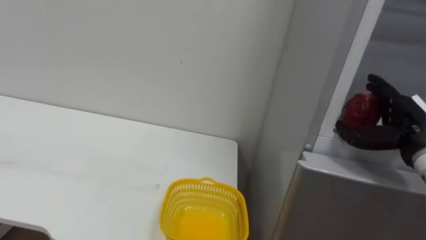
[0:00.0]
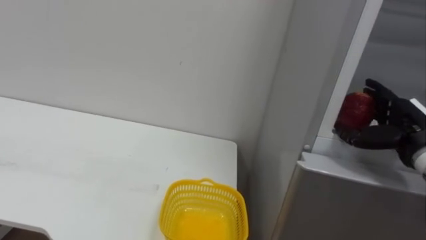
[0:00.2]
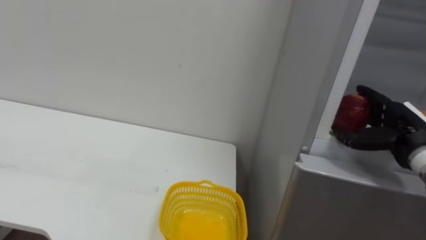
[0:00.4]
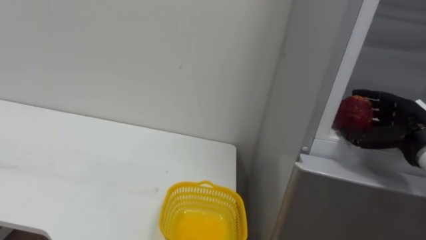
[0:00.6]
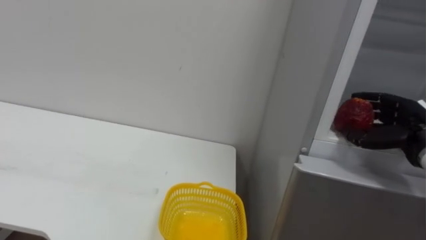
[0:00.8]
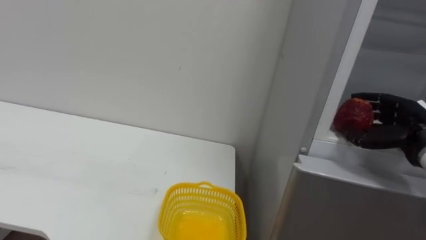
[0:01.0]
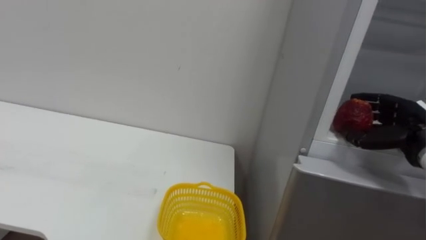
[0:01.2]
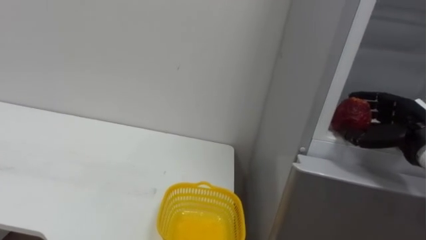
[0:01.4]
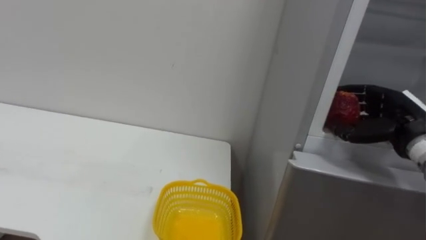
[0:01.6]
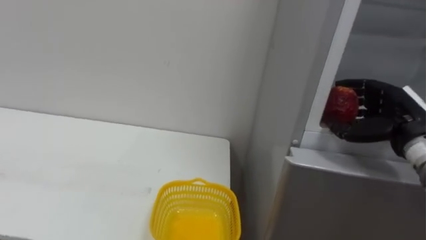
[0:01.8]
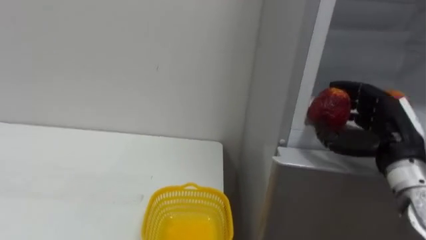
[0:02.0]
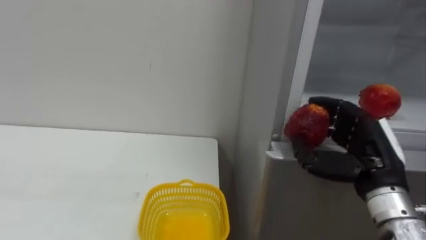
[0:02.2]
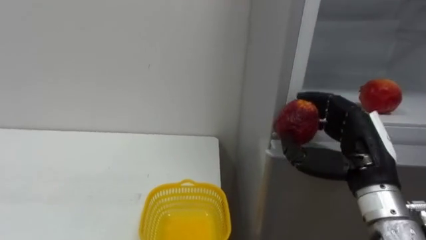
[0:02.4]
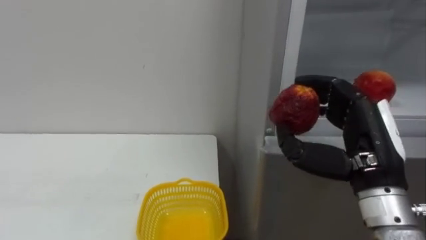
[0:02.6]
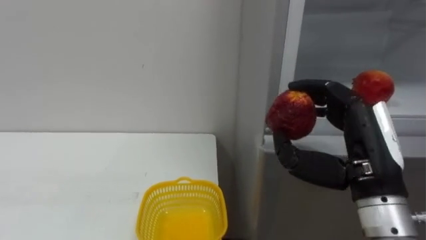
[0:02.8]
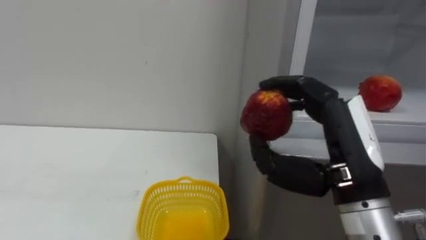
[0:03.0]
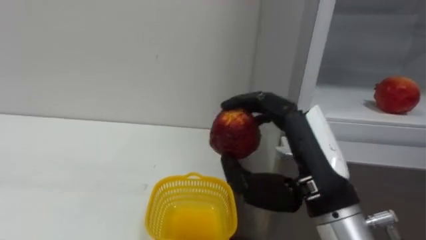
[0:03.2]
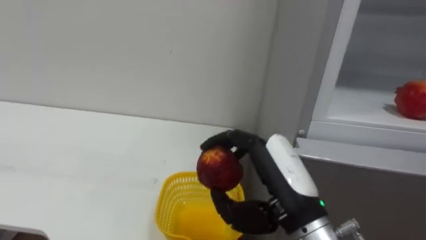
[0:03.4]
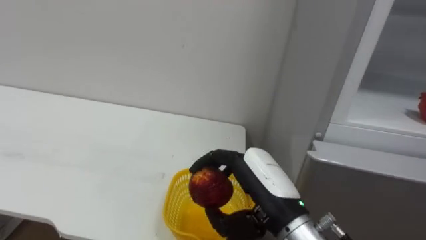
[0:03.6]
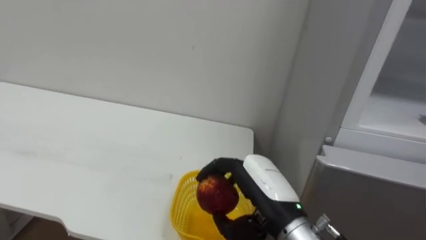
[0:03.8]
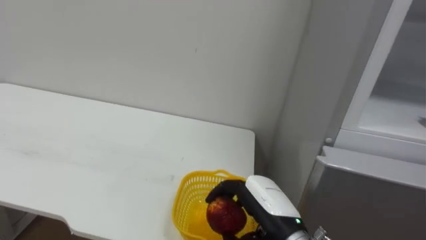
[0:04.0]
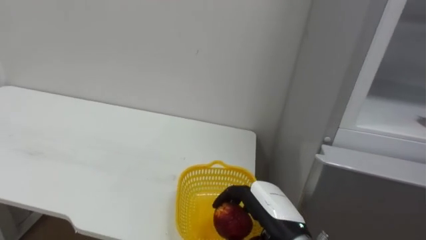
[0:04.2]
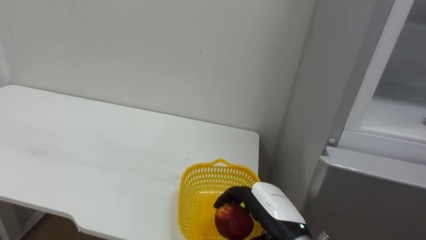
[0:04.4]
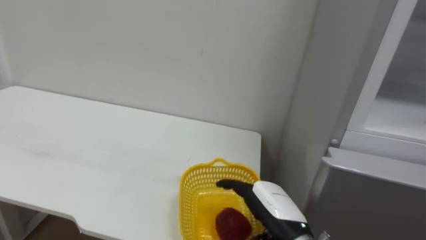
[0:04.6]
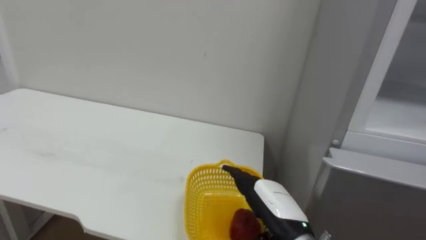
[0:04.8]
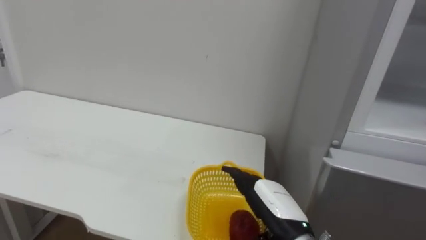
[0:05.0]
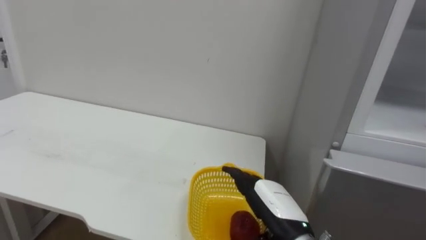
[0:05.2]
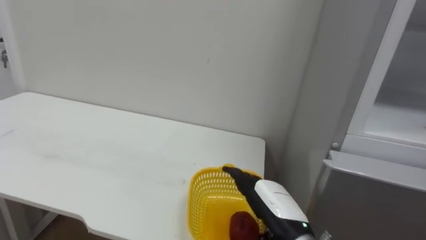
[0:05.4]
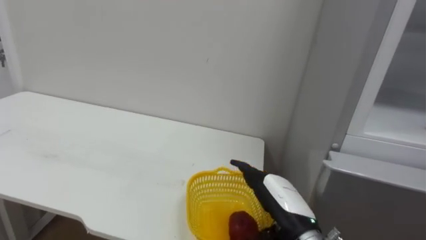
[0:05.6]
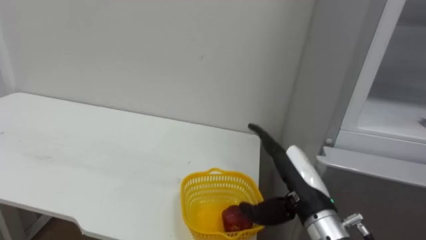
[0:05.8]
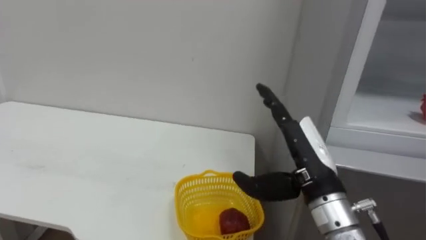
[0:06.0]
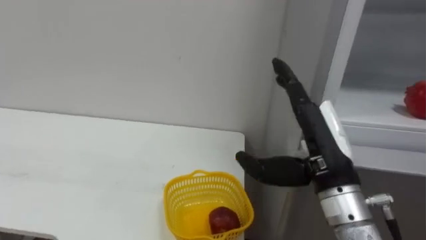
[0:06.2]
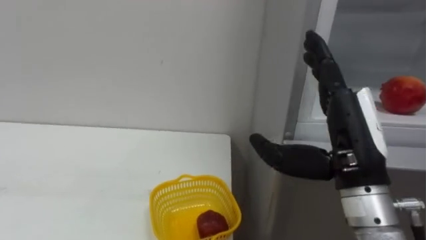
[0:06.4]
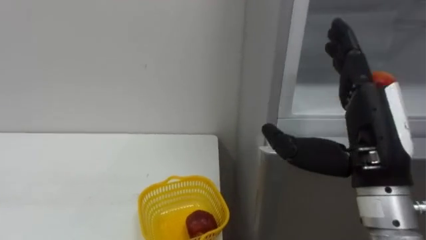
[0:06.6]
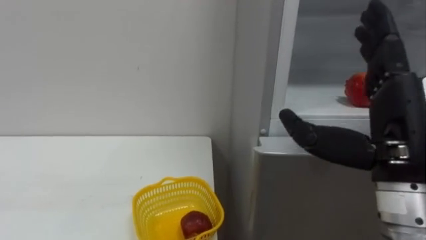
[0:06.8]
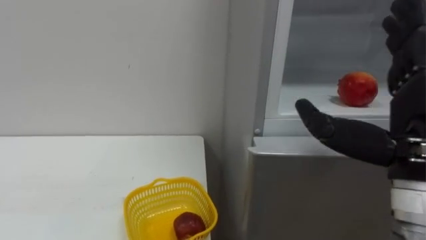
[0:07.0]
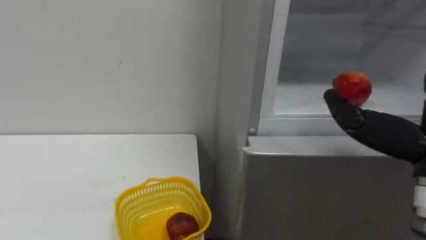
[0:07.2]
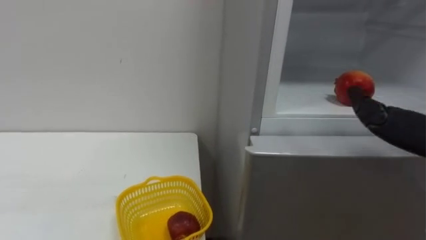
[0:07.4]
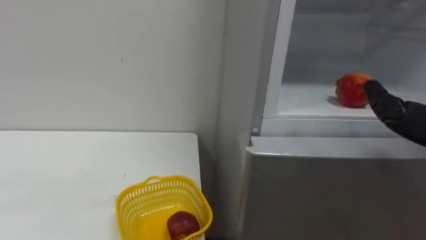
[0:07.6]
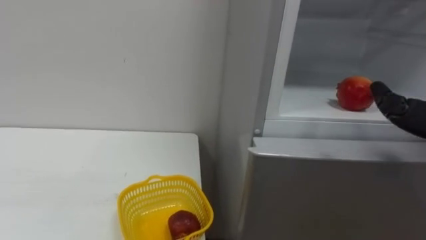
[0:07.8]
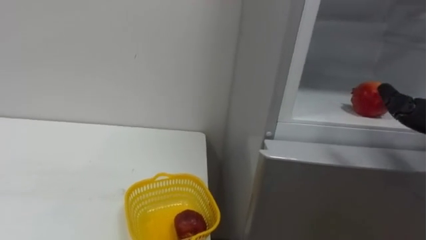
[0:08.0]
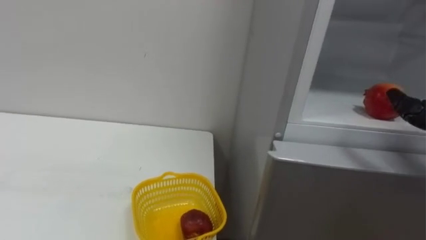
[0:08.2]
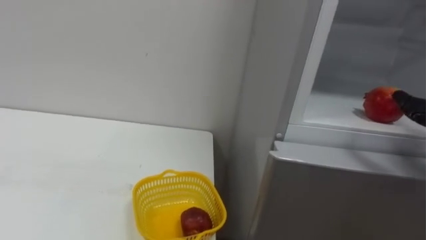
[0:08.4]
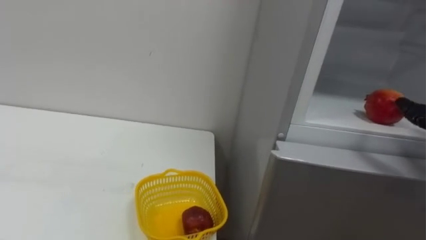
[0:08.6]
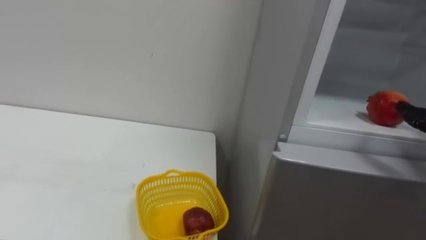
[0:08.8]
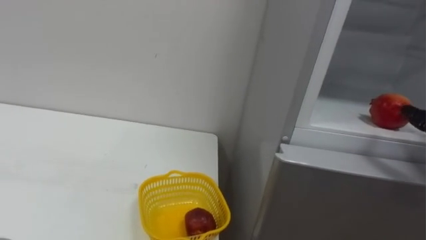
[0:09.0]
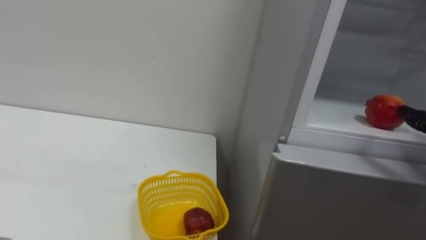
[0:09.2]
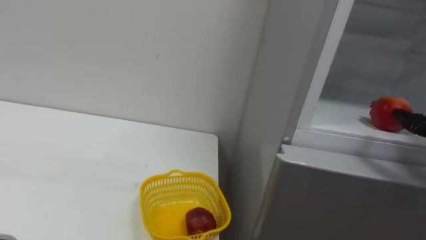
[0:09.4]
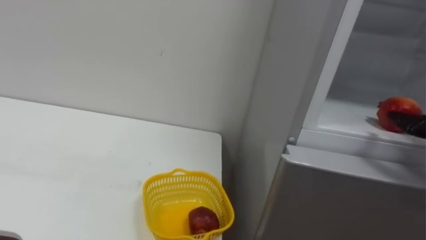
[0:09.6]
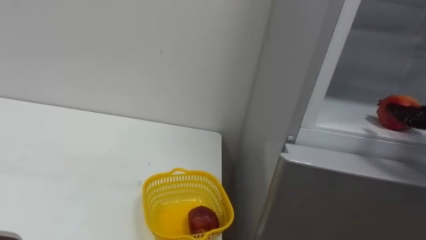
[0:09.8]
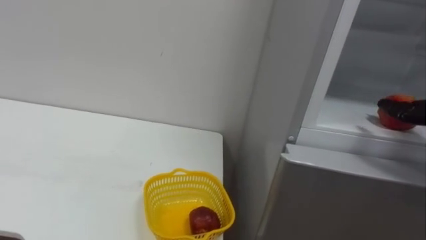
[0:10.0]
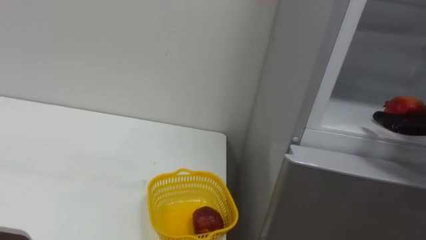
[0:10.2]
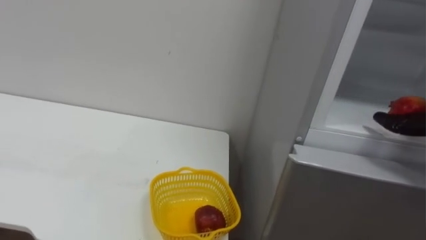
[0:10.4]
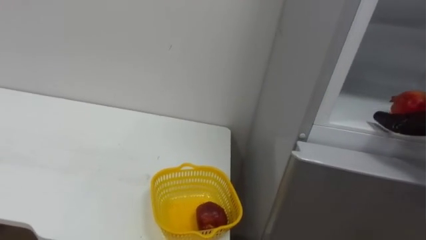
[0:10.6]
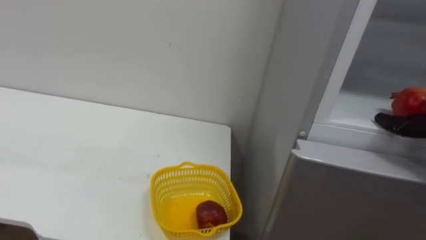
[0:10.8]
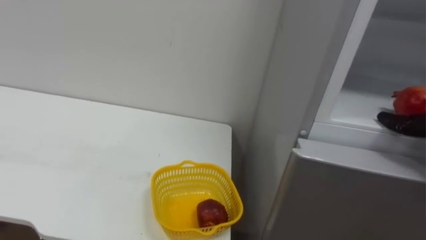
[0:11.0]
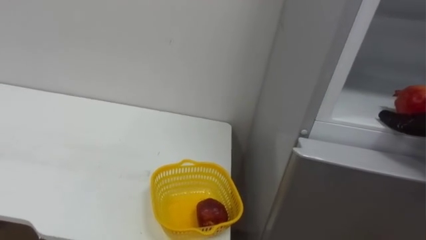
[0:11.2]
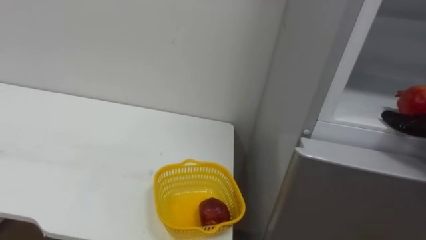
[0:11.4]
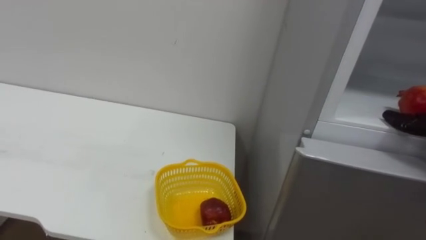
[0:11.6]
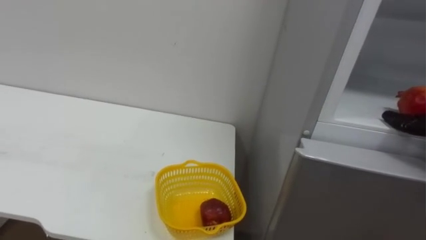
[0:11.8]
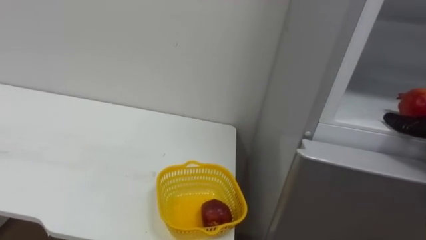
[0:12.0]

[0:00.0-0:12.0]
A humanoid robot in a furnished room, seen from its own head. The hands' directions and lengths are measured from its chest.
Task of the whole recording: Open the refrigerator door, take out the apple and the pomegranate, place them in the fruit basket on the left, and close the refrigerator door.
0:00.0 to 0:01.6: The right hand closes up.
0:01.6 to 0:03.0: The right hand goes approximately 20 cm to the left and backward.
0:03.0 to 0:04.4: The right hand is displaced downward by some 15 cm.
0:04.4 to 0:06.0: The right hand goes some 10 cm upward, and opens up.

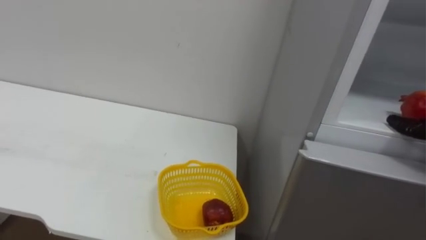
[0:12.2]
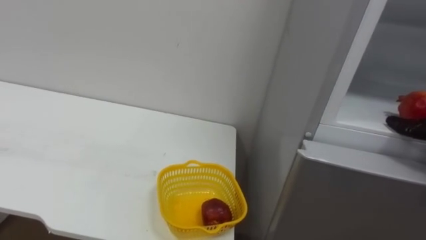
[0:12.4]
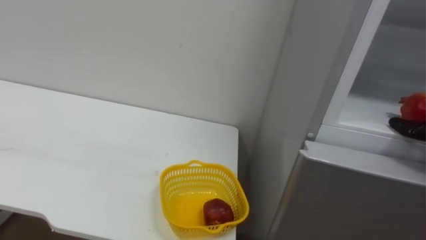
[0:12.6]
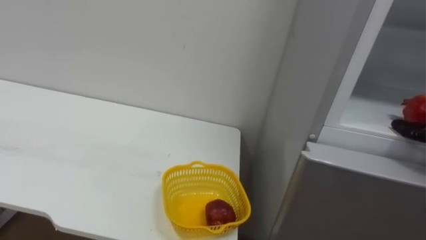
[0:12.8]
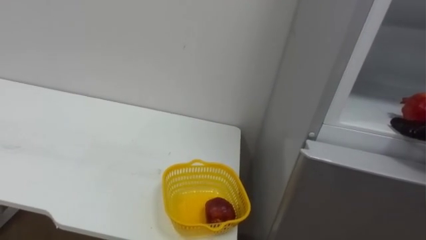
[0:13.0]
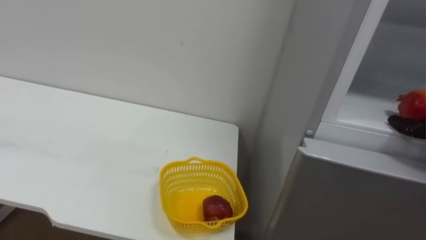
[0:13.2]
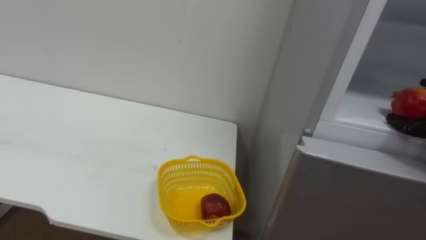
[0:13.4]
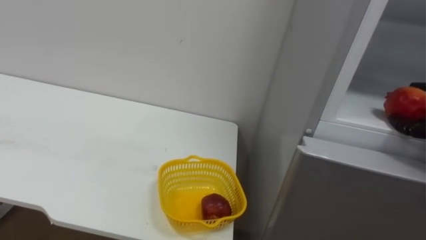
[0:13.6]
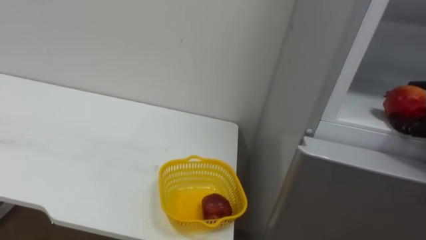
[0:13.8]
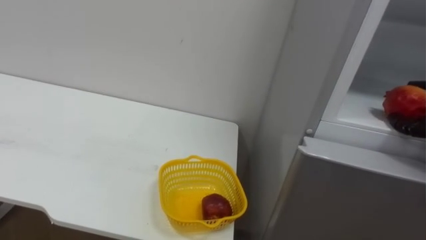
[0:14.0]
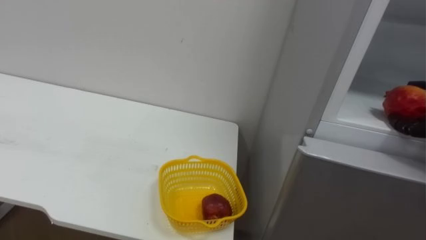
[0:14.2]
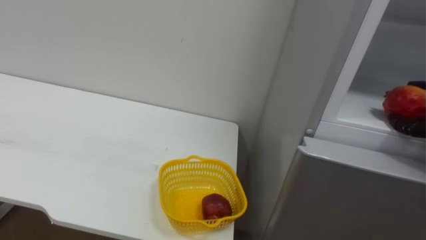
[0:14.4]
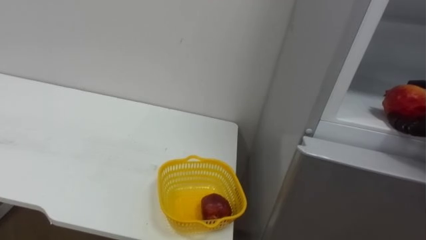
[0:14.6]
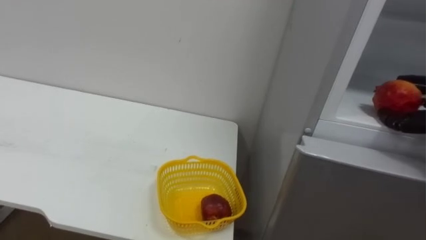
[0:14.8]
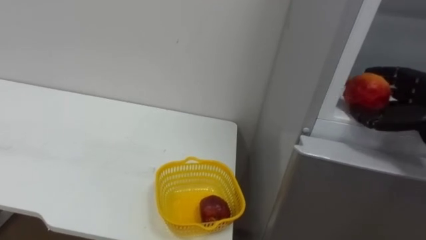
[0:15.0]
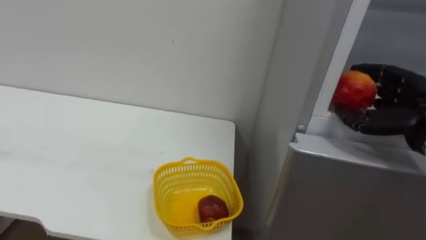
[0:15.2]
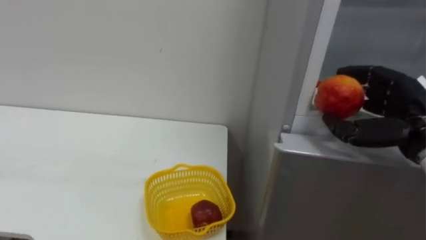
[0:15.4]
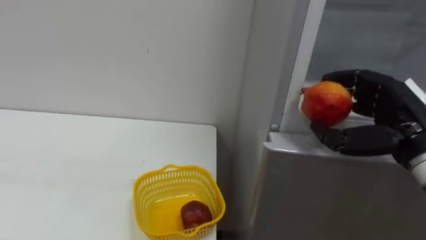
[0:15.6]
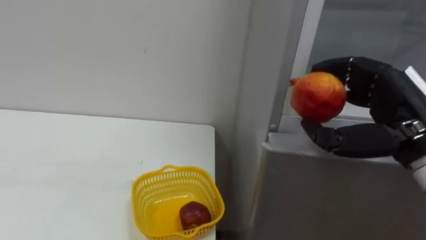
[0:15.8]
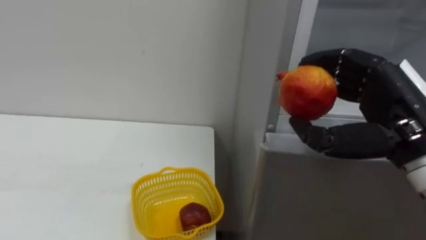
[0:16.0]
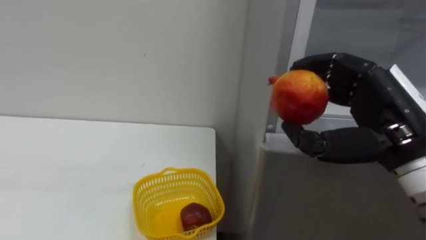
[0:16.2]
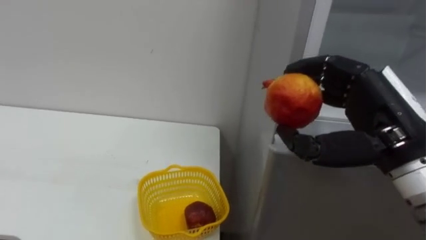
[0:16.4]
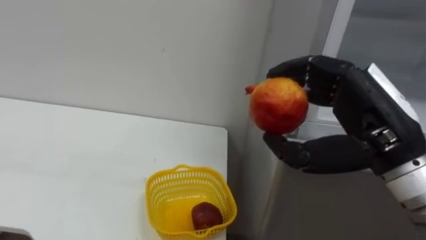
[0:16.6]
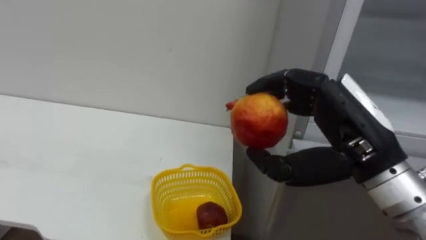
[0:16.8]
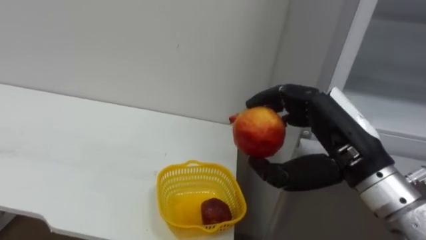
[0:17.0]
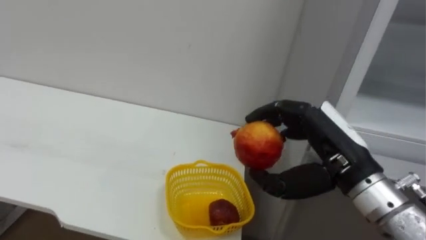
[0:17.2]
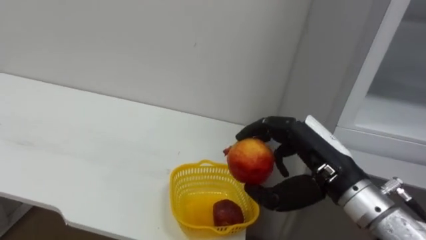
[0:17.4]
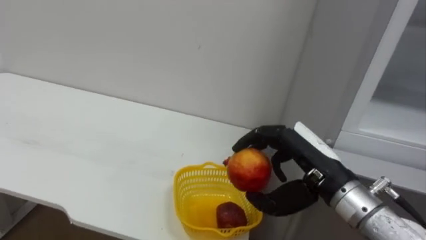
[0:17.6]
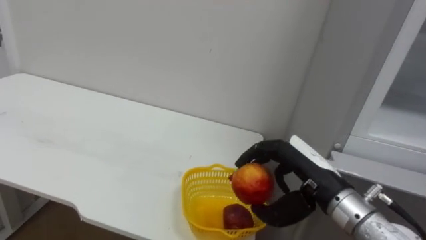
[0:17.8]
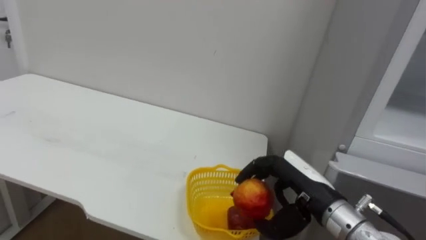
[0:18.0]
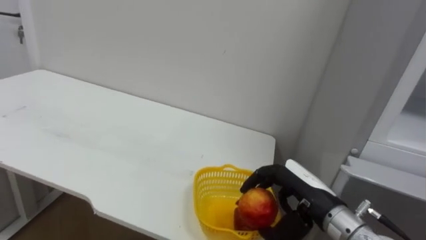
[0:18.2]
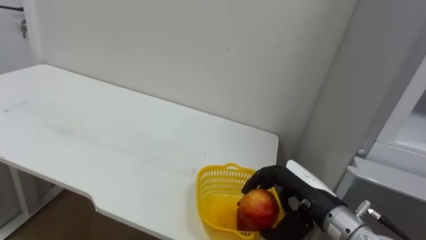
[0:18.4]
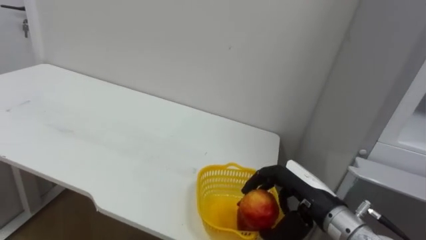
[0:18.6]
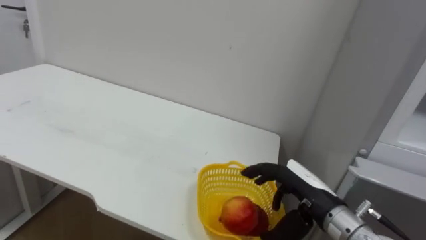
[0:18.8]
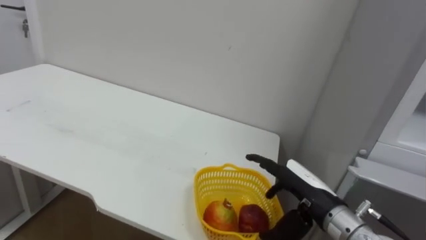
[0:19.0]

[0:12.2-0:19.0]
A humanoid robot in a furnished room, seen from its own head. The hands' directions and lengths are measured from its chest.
Task of the whole recording: Open the refrigerator door, take out the apple and the pomegranate, place them in the fruit basket on the left, and close the refrigerator door.
0:16.2 to 0:17.6: The right hand goes about 10 cm downward and to the left.
0:17.6 to 0:19.0: The right hand shifts roughly 10 cm downward, and opens.
